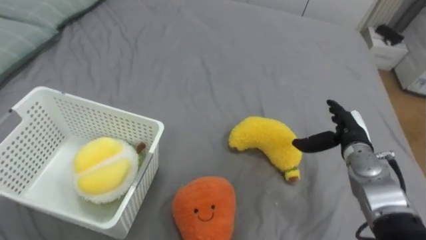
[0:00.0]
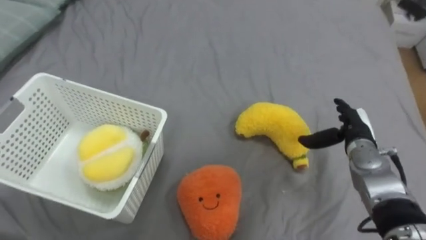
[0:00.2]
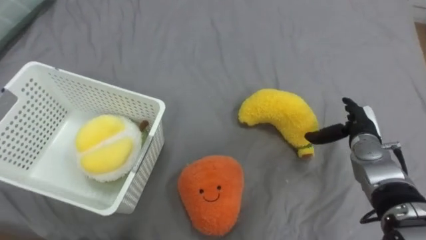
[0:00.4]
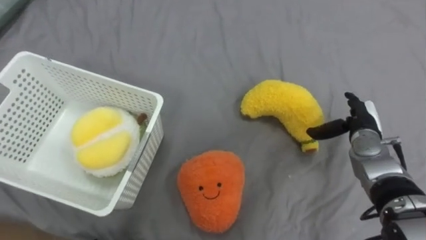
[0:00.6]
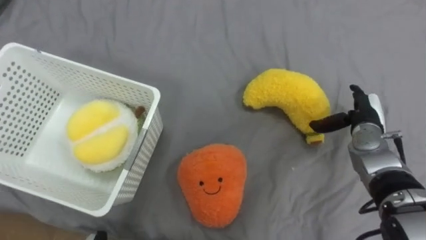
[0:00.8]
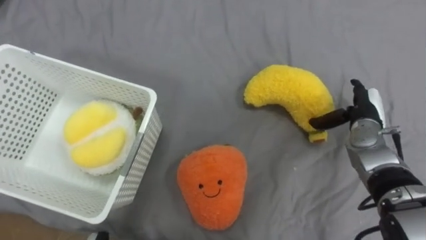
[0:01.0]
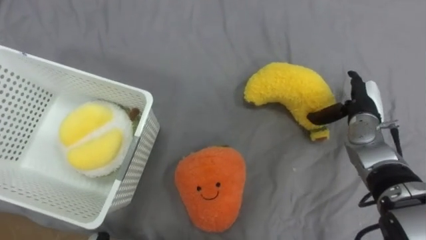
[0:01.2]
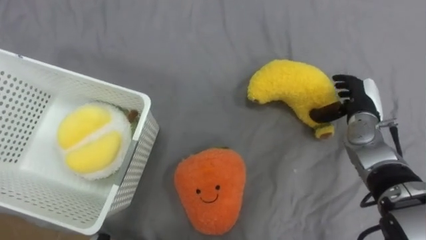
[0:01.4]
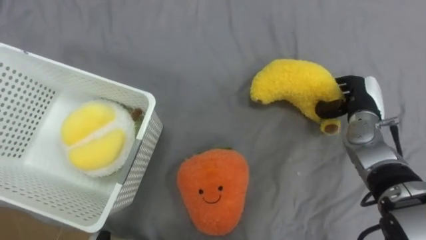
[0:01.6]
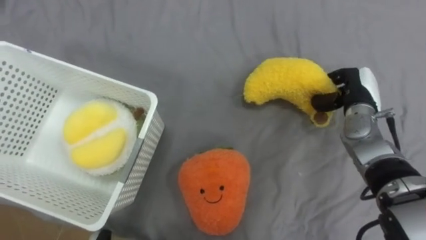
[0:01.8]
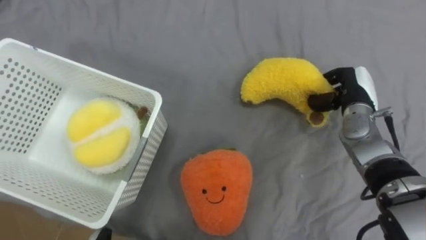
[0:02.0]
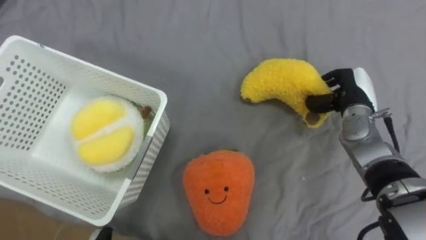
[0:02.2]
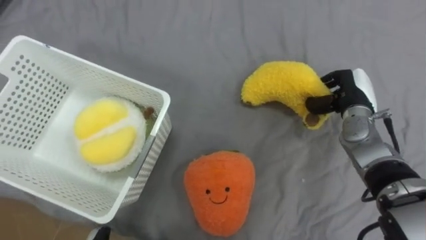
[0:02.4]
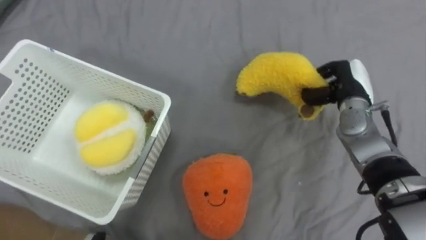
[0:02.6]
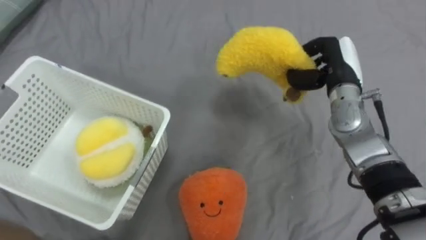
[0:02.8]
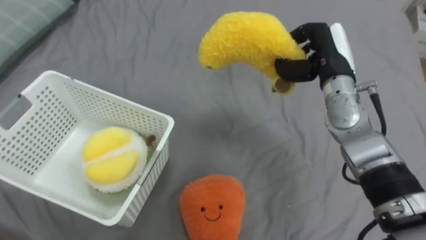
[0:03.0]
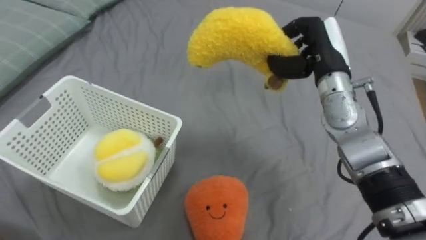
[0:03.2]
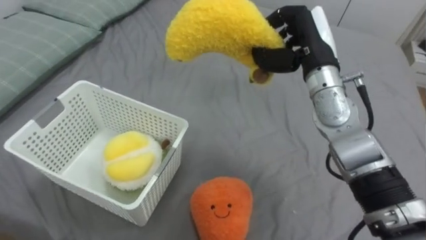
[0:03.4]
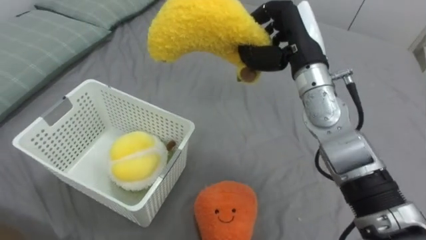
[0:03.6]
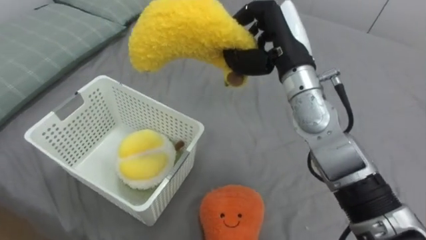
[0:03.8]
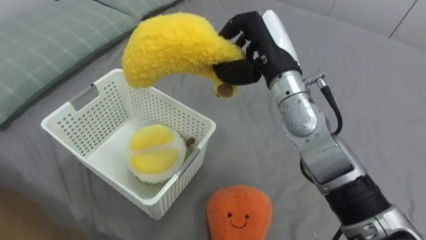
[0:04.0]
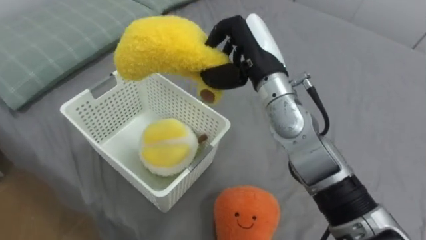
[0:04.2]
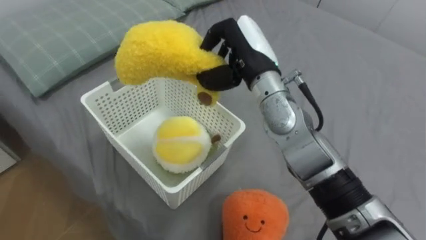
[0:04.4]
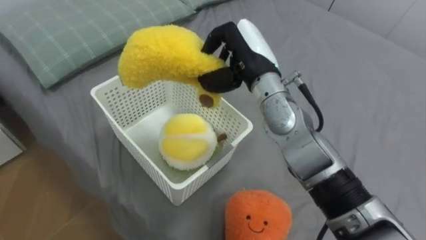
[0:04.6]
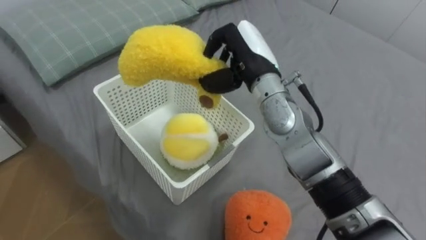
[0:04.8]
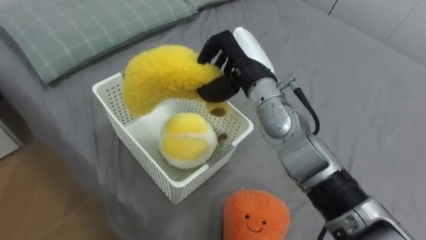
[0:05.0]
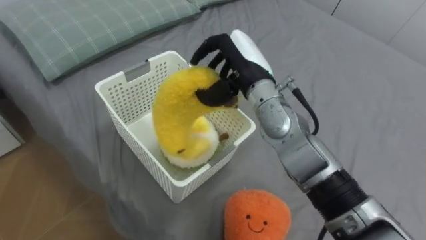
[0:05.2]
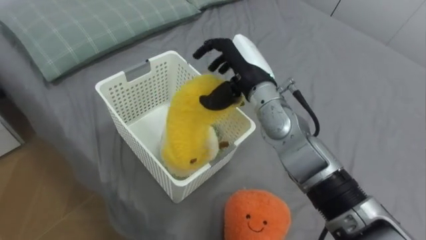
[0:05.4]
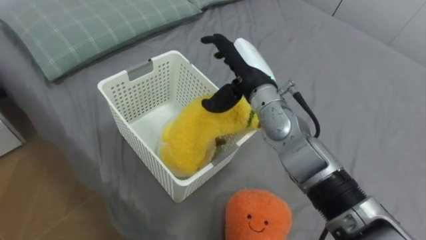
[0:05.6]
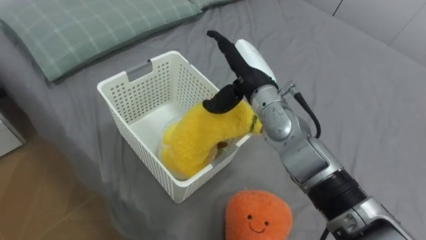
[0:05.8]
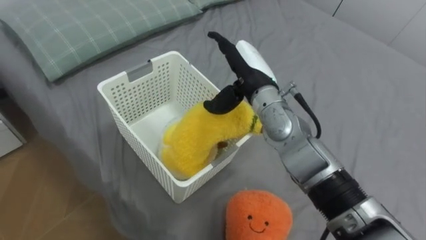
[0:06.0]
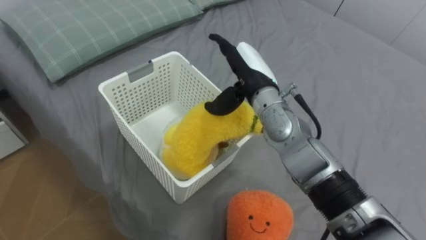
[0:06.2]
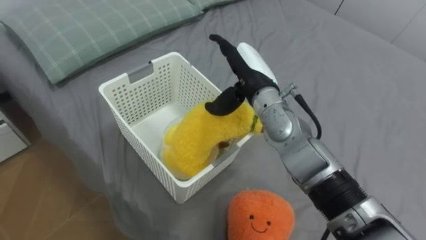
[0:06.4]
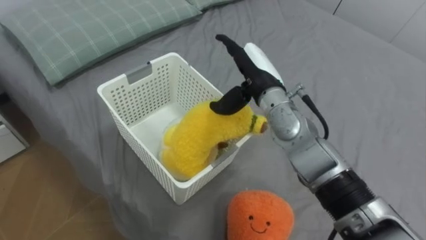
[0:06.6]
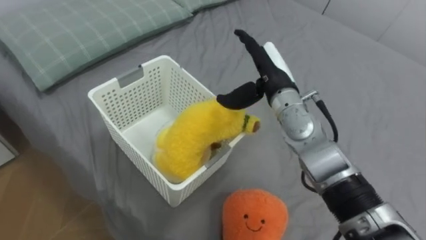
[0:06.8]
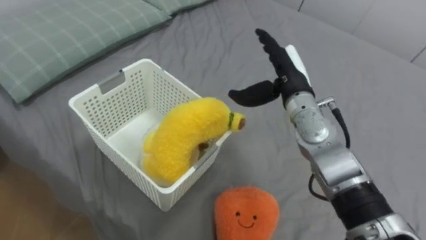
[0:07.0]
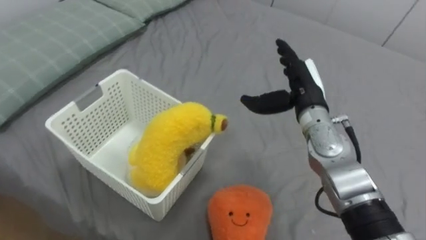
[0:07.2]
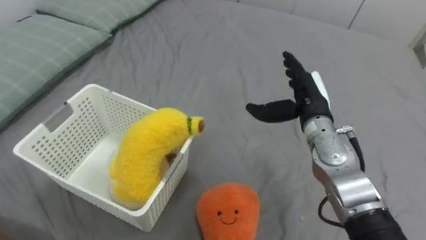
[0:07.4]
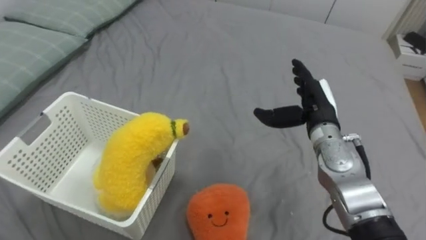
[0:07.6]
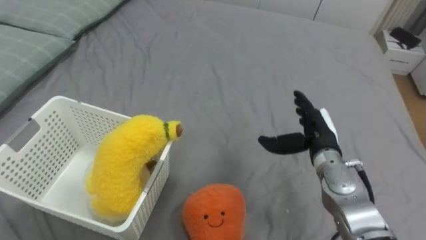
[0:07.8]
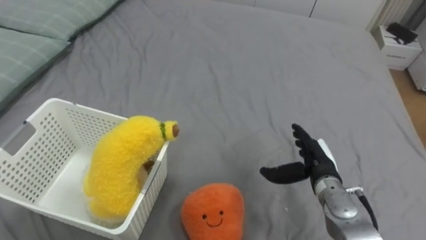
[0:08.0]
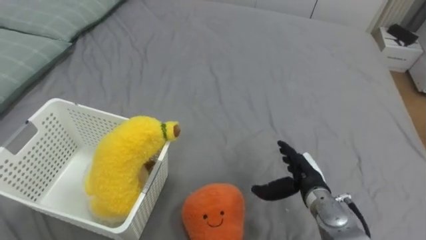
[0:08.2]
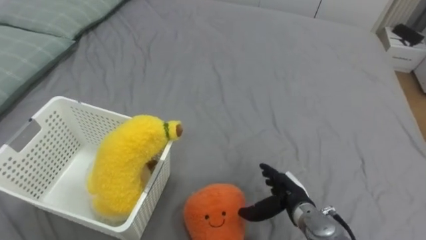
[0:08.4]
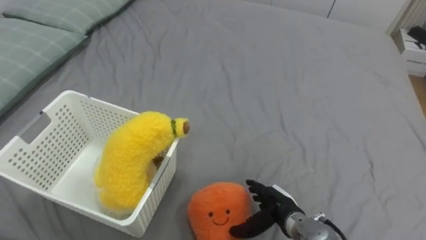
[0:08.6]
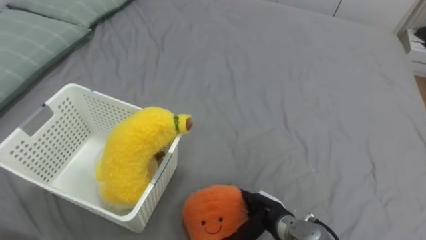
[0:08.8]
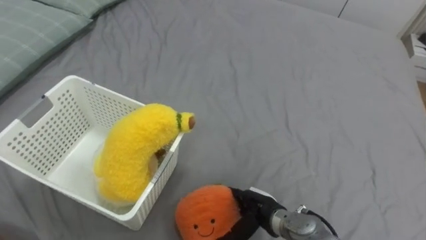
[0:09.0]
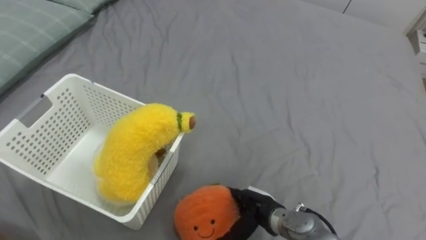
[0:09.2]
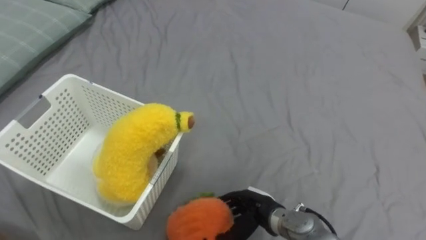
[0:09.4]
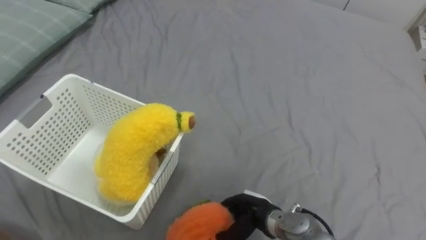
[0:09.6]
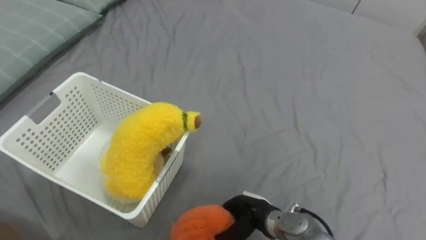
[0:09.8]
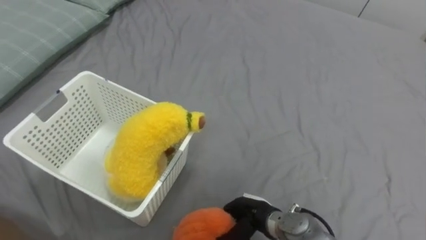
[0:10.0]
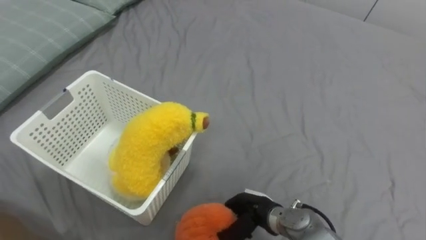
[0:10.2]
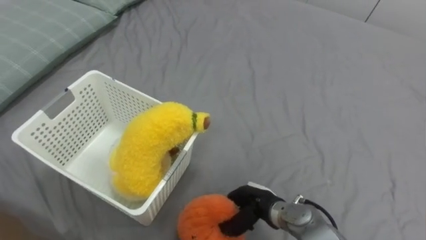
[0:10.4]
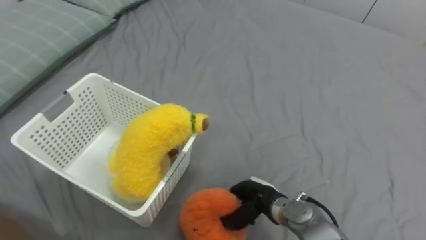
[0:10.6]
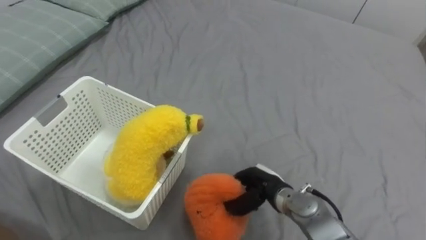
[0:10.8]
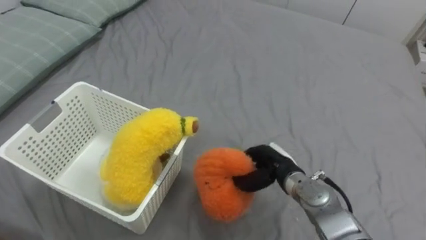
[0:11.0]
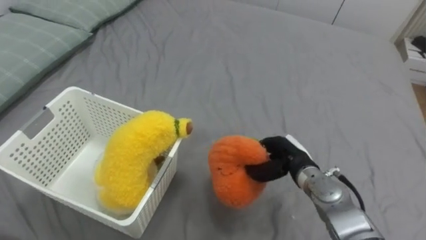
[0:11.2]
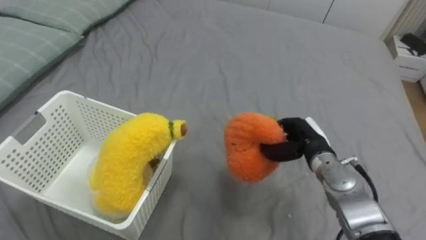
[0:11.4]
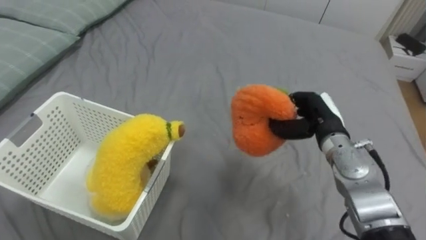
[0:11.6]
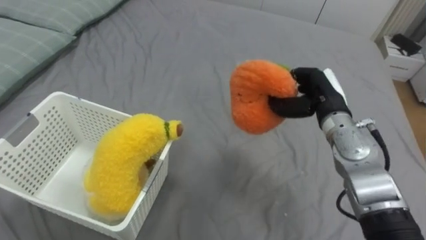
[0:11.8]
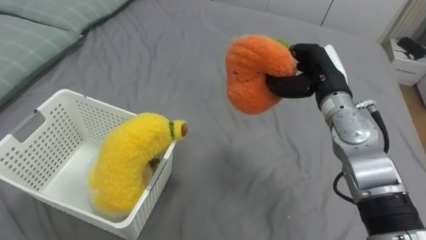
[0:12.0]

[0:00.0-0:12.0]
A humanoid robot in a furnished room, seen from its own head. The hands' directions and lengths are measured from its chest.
Task of the whole recording: Put the toys on the bed into the basket on the left.
0:00.0 to 0:01.6: The right hand heads forward, covering roughly 5 cm, and closes.
0:01.6 to 0:03.0: The right hand is displaced upward and to the left by approximately 15 cm.
0:03.0 to 0:04.4: The right hand moves to the left, about 15 cm.
0:04.4 to 0:06.0: The right hand opens up.
0:06.0 to 0:07.6: The right hand shifts roughly 15 cm to the right and downward.
0:07.6 to 0:09.0: The right hand shifts some 25 cm downward, backward and to the left.
0:09.0 to 0:10.4: The right hand closes.
0:10.4 to 0:12.0: The right hand goes roughly 30 cm upward, forward and to the right.

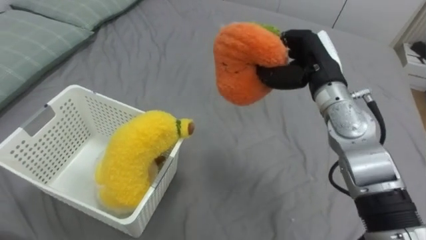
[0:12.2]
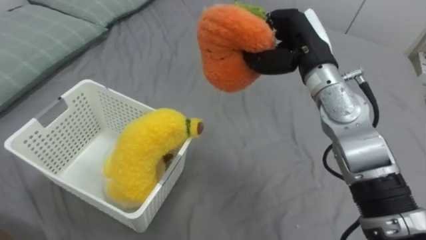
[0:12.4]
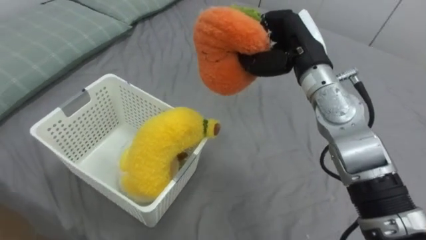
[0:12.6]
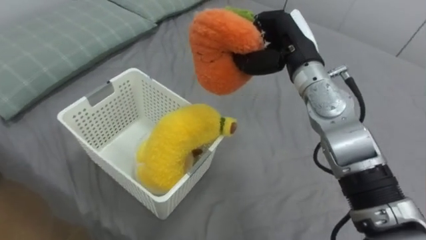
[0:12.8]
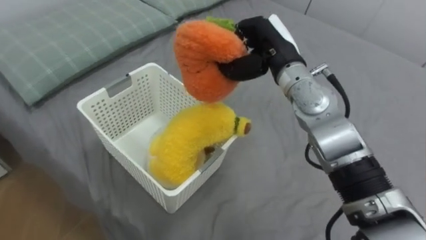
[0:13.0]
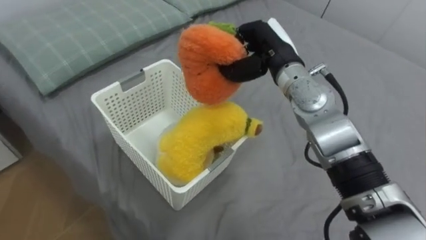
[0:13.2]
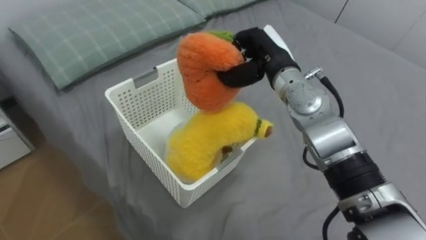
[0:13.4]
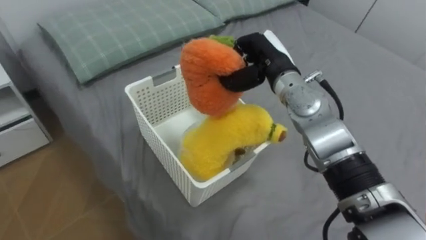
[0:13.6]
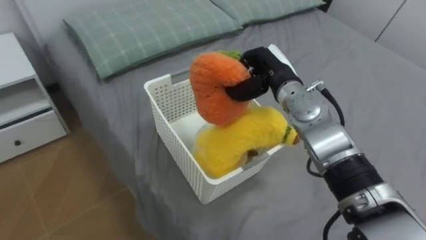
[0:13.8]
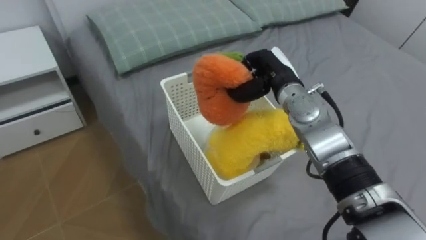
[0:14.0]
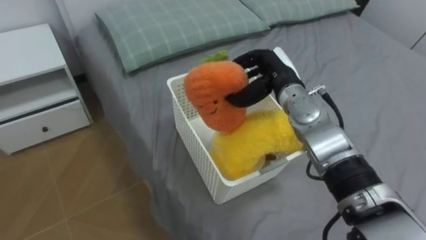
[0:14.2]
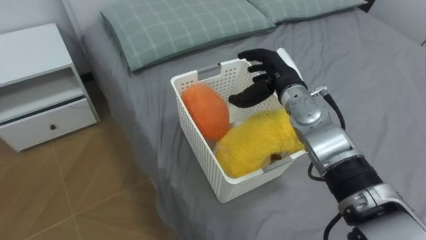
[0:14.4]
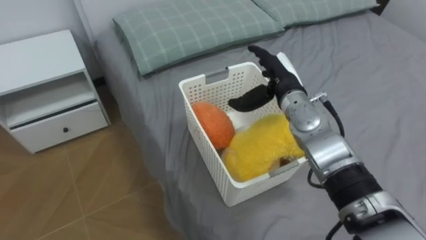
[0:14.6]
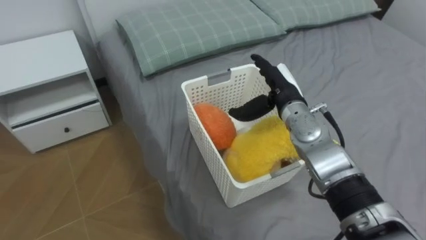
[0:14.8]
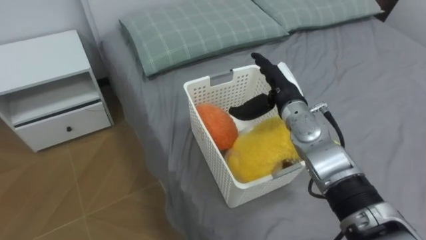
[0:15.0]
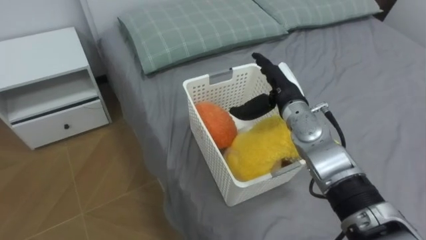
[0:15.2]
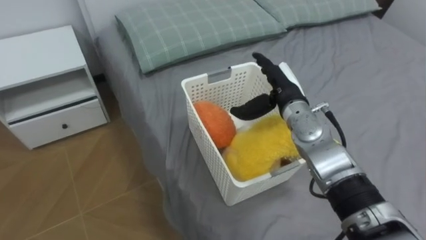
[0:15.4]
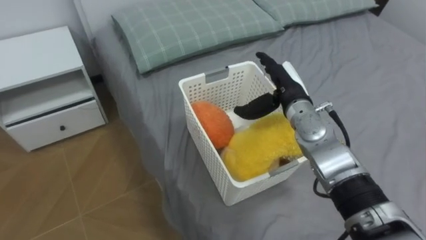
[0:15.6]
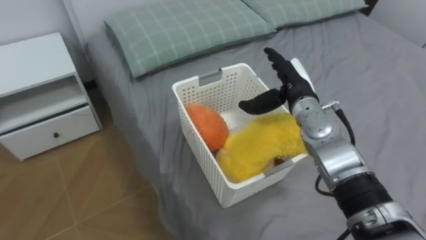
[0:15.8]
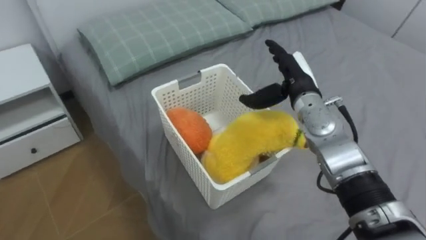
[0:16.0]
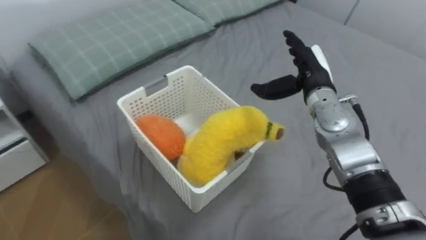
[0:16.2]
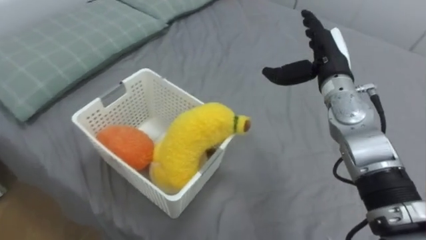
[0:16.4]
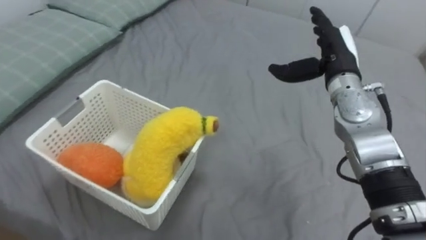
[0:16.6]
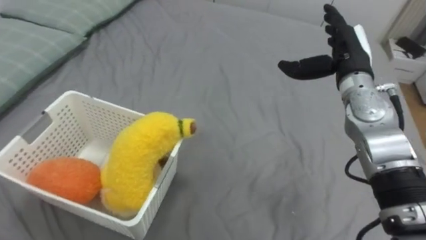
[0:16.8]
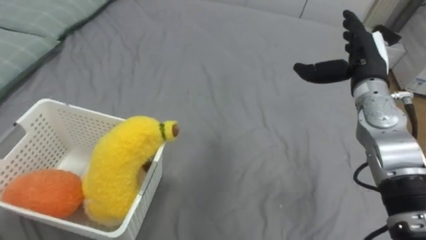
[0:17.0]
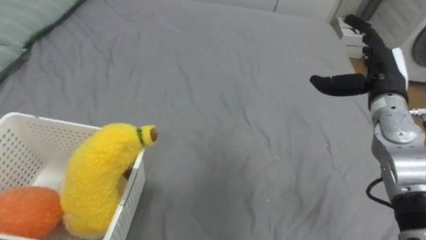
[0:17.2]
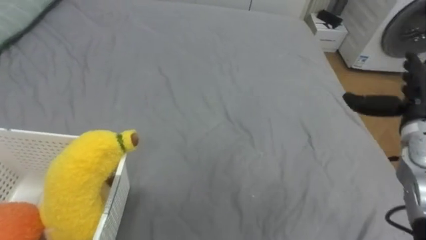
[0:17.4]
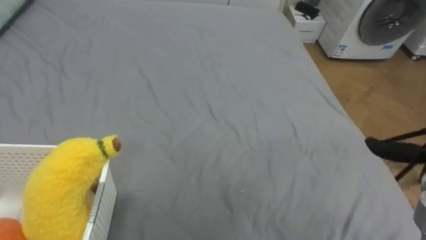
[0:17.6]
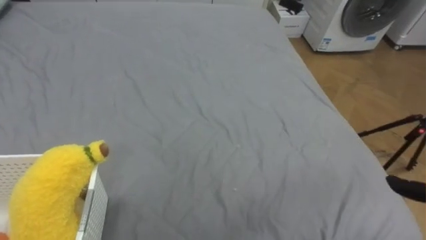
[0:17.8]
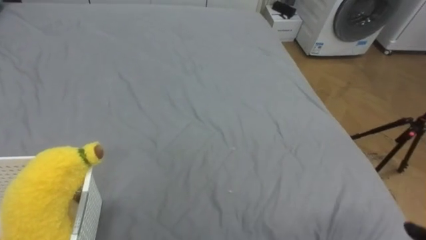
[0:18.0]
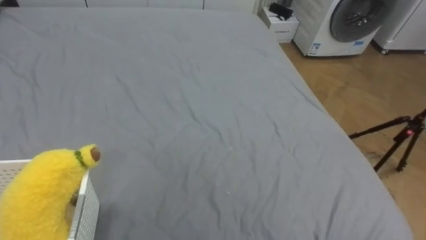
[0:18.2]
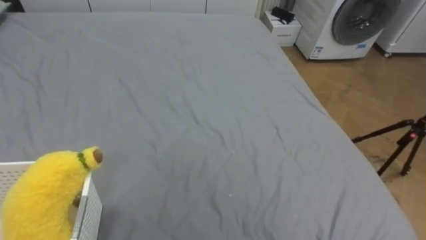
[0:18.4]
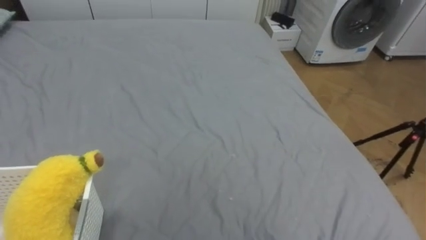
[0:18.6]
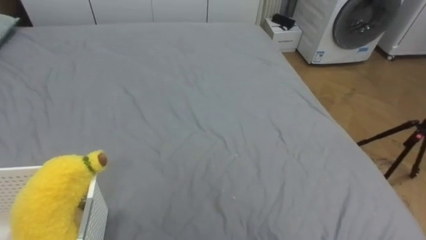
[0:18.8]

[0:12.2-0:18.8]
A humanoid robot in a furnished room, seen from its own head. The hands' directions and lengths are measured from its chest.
Task of the whole recording: Put the toys on the bed into the basket on the left.
0:12.2 to 0:13.8: The right hand shifts about 5 cm to the left.
0:13.8 to 0:15.4: The right hand opens its fingers.
0:15.4 to 0:17.2: The right hand travels to the right by about 15 cm.
